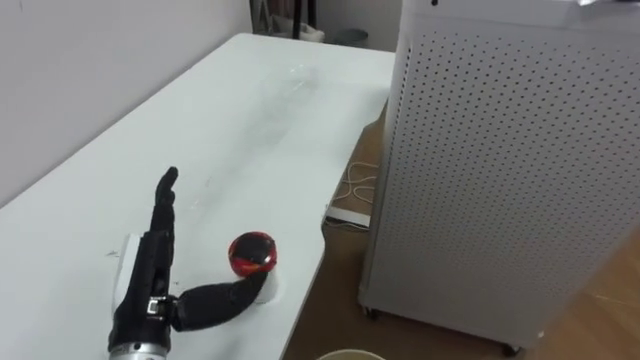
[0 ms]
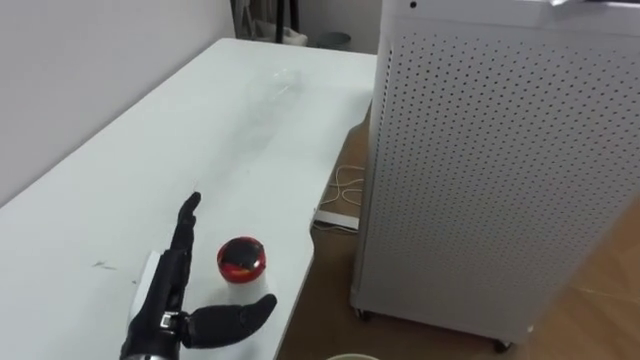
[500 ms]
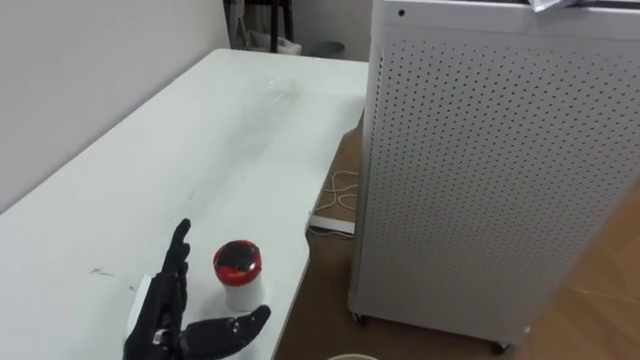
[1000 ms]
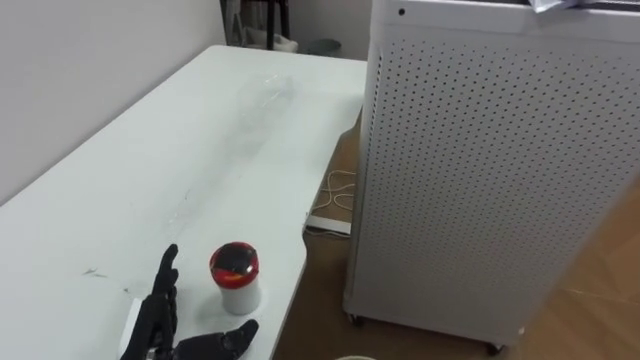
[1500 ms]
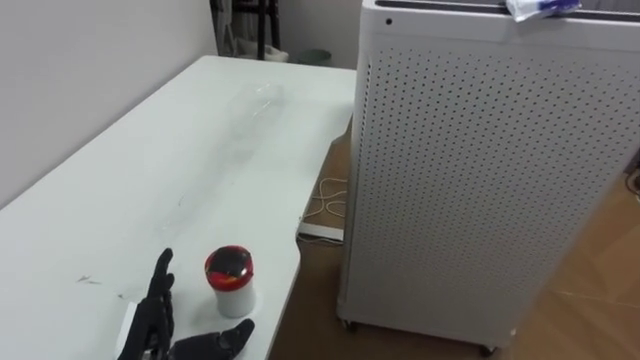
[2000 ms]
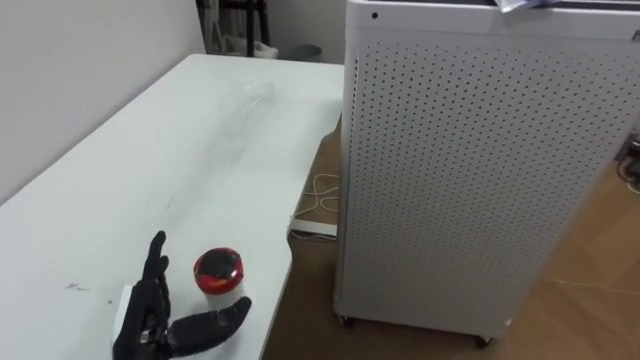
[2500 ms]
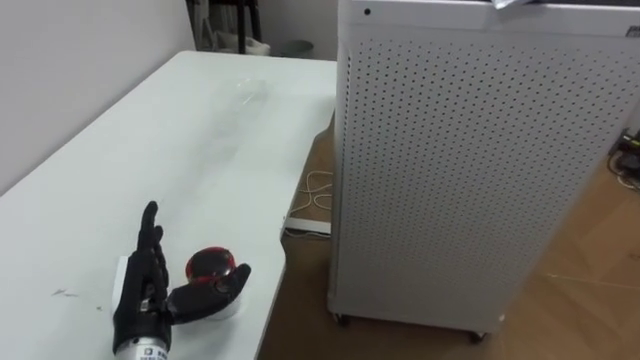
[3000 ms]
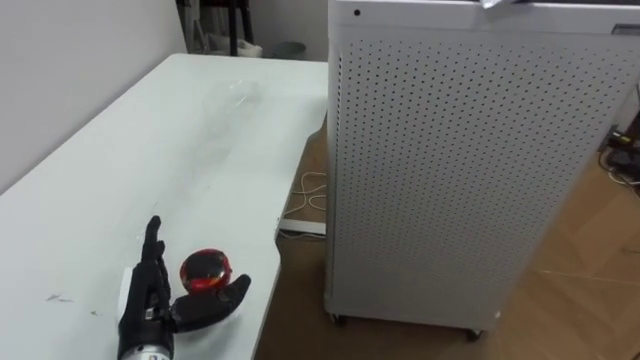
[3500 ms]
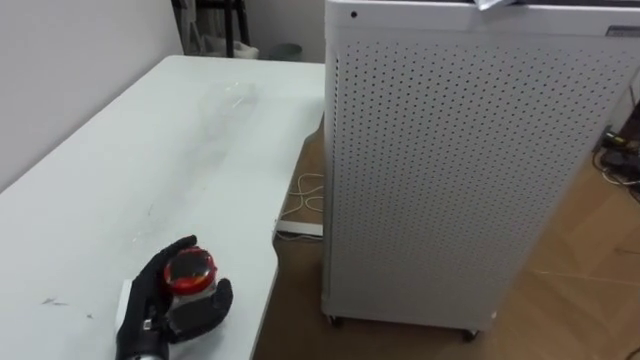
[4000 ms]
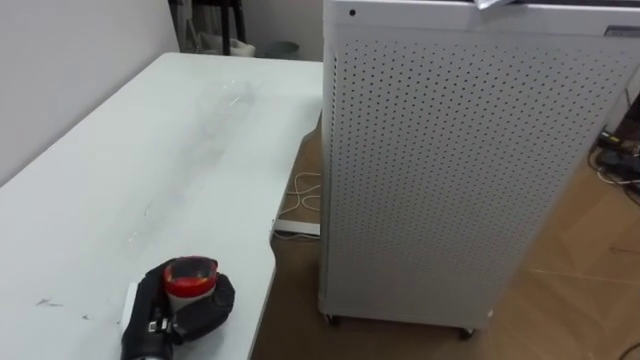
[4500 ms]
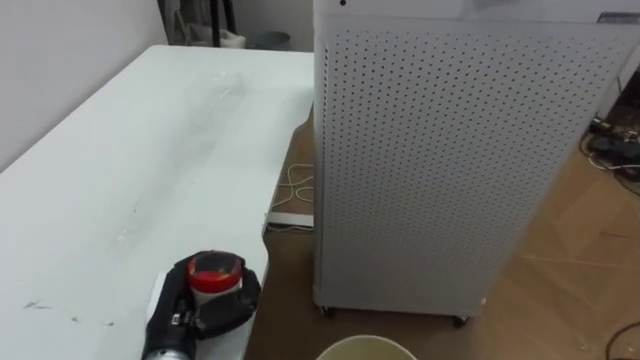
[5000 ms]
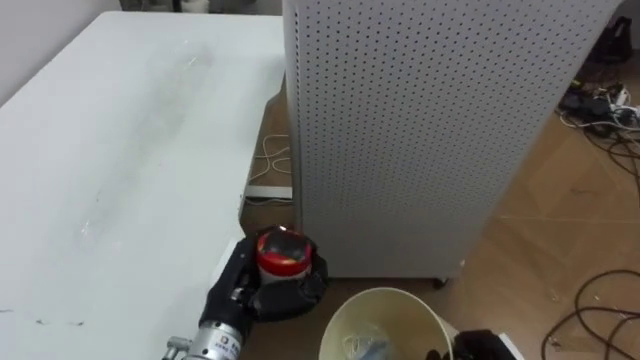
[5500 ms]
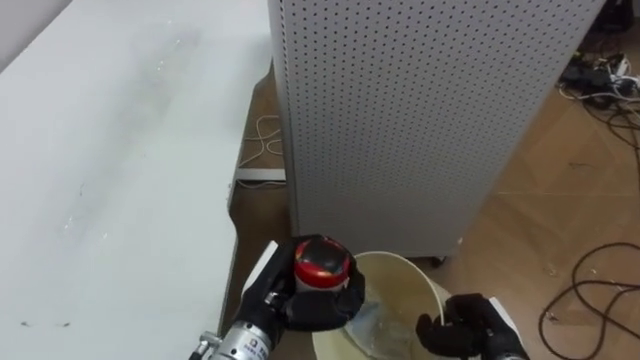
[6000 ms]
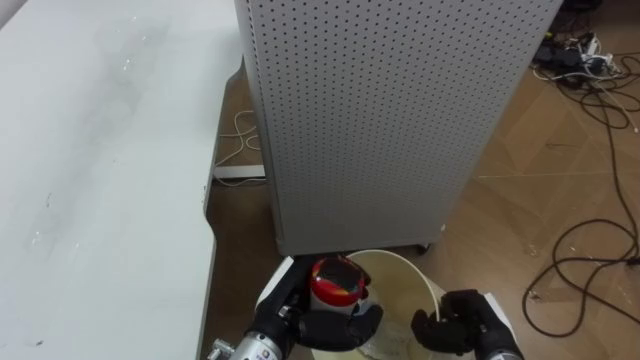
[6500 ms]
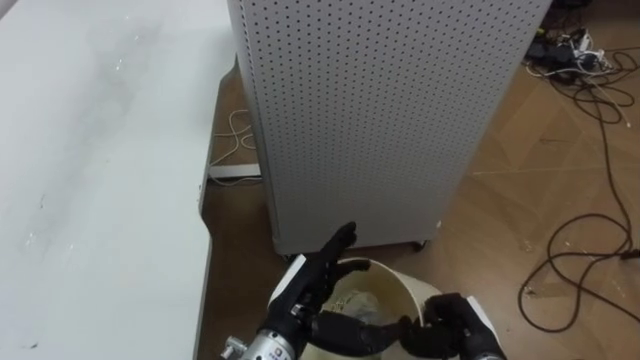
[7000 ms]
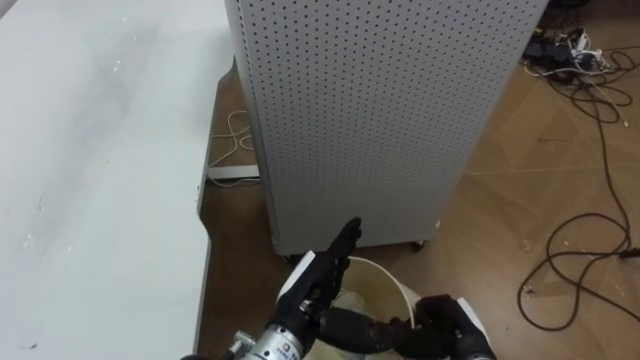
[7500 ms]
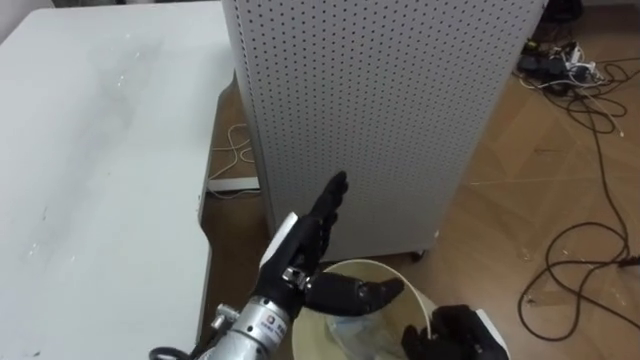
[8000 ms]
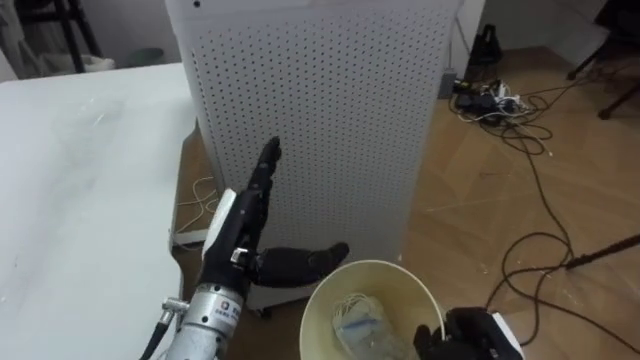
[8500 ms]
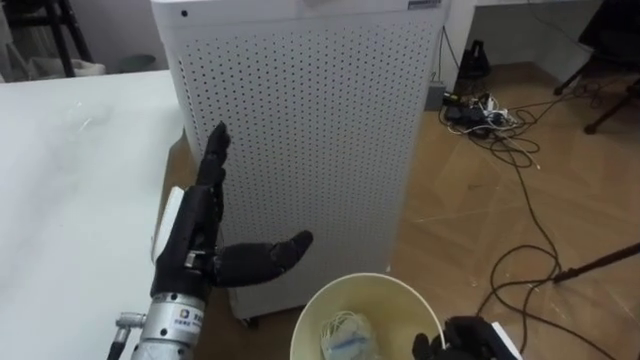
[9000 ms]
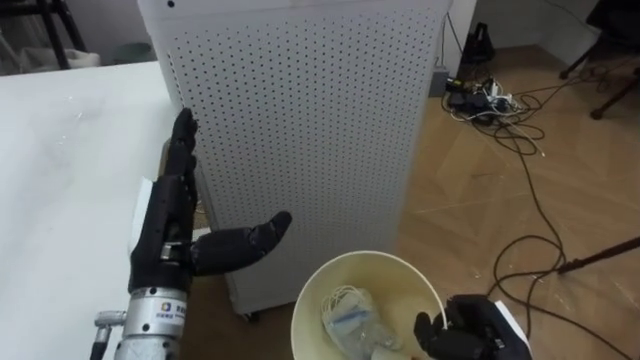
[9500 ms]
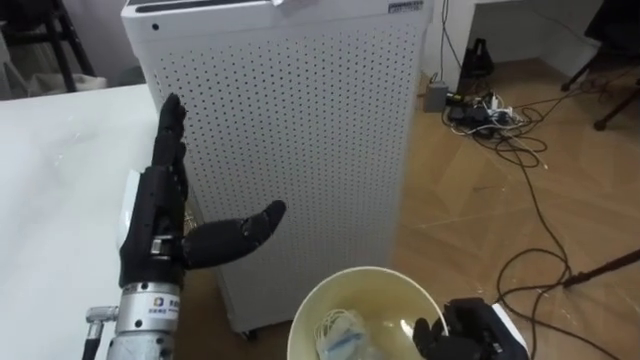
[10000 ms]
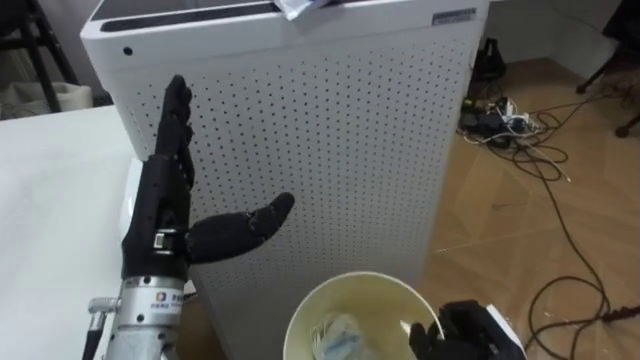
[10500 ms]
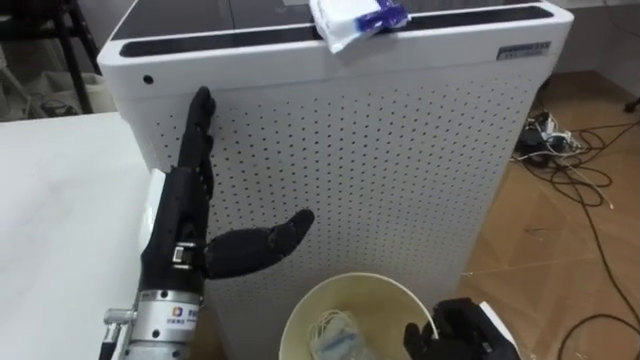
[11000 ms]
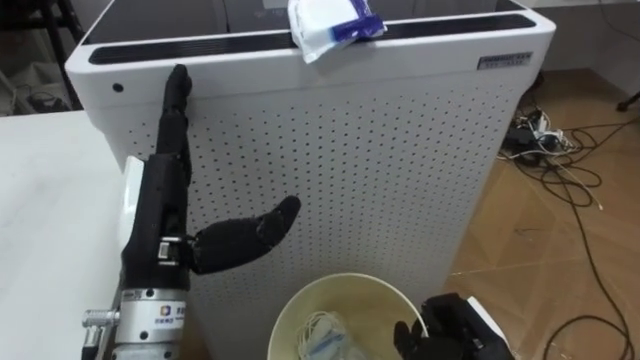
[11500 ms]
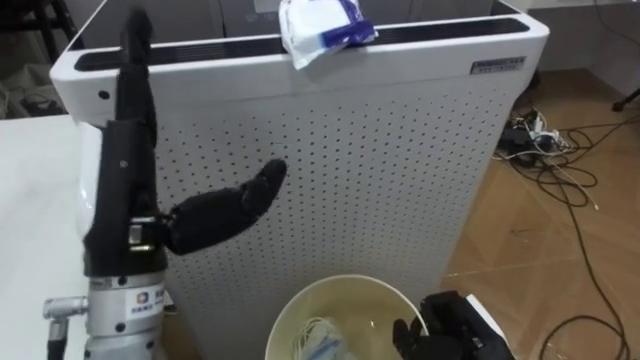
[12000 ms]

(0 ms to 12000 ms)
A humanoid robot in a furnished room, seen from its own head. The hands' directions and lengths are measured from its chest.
Task of the whole recording: Pick up the light blue package, the candy box, and the dark blue package separately, and put them into the trash can held in your right hand.
0 ms - 2000 ms: The left hand is displaced downward by roughly 10 cm.
4000 ms - 6000 ms: The left hand travels to the right by approximately 15 cm, and closes.
6000 ms - 8000 ms: The left hand opens up.
8000 ms - 10000 ms: The left hand travels to the left and upward by roughly 15 cm.
10000 ms - 12000 ms: The left hand travels upward by about 5 cm.

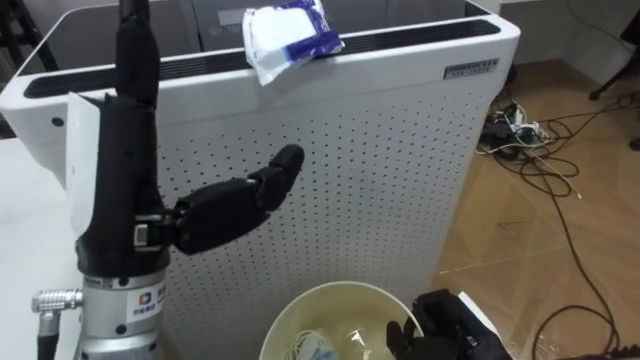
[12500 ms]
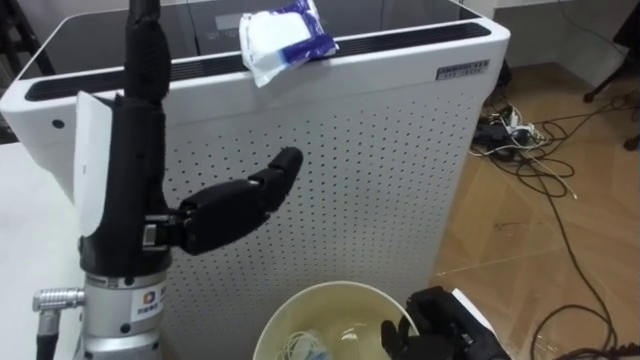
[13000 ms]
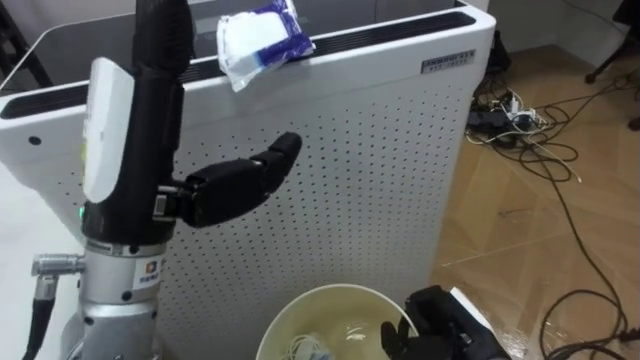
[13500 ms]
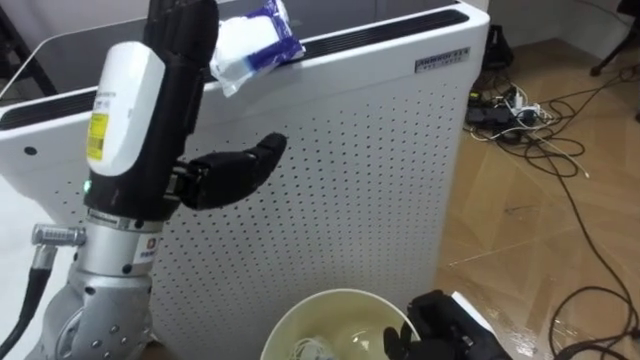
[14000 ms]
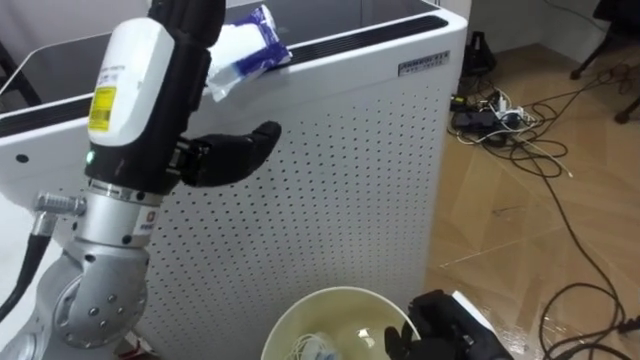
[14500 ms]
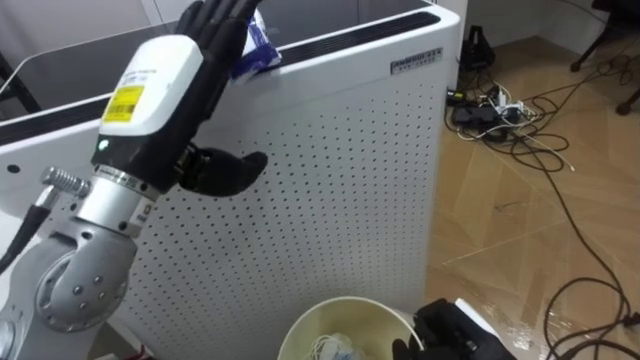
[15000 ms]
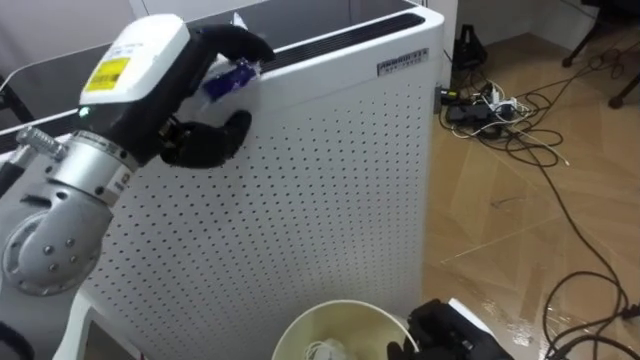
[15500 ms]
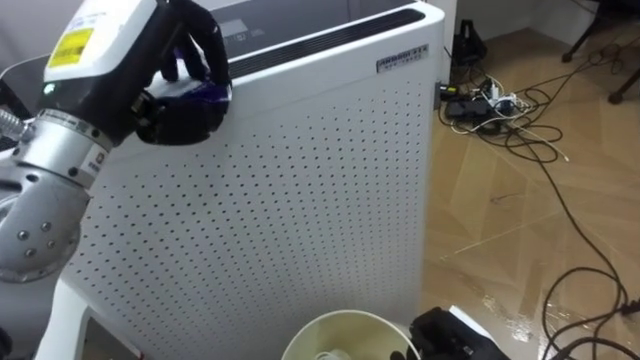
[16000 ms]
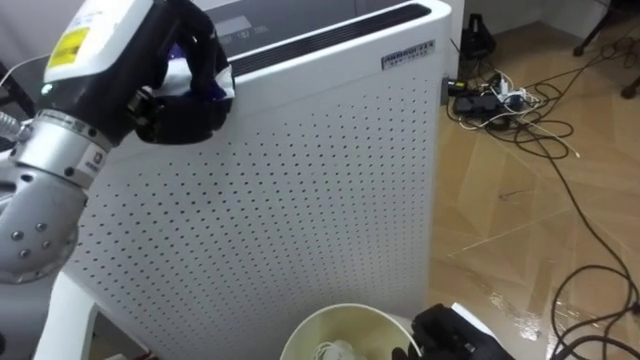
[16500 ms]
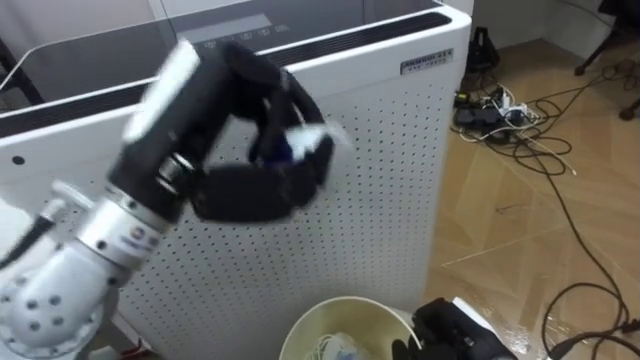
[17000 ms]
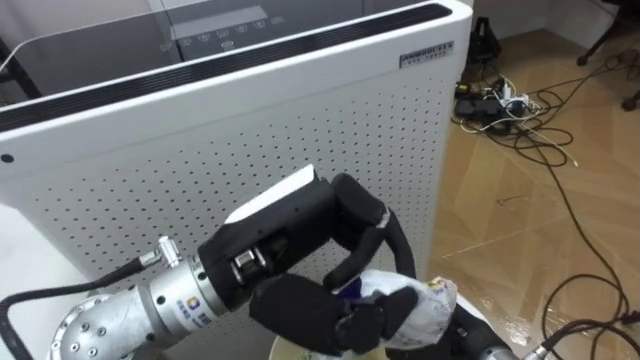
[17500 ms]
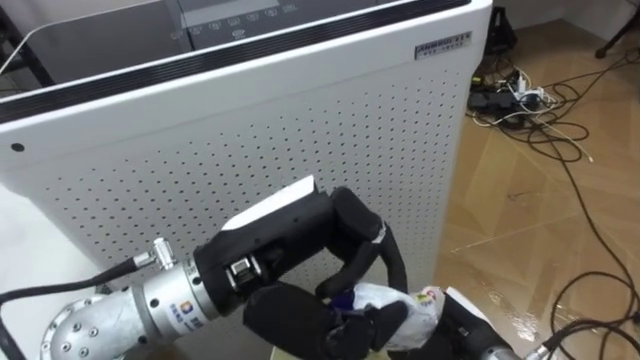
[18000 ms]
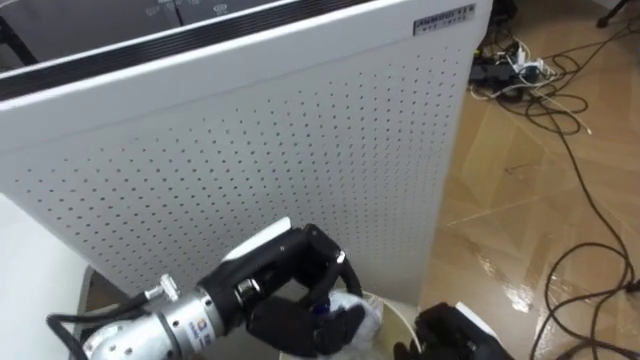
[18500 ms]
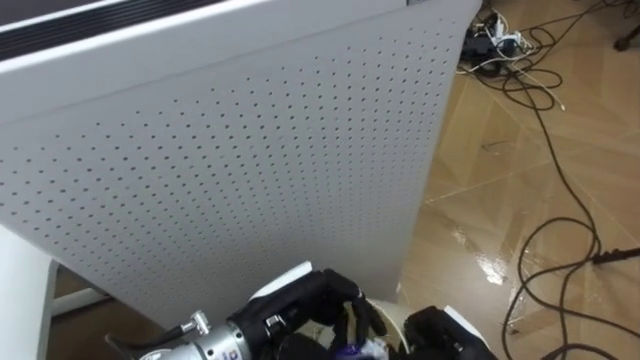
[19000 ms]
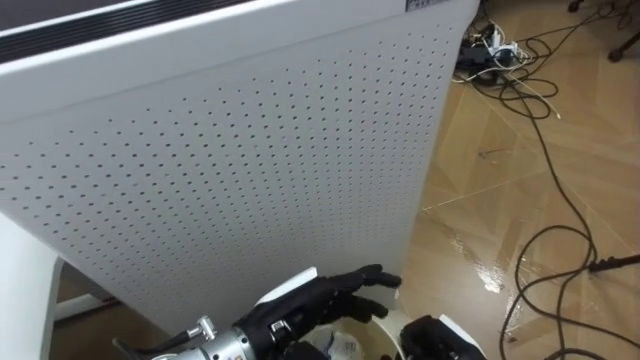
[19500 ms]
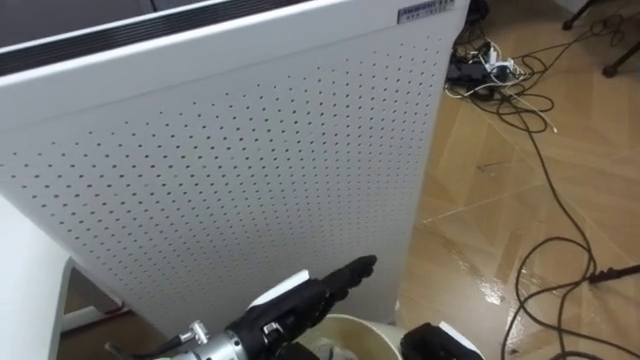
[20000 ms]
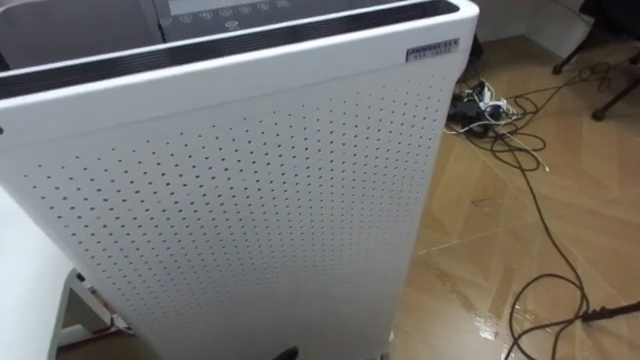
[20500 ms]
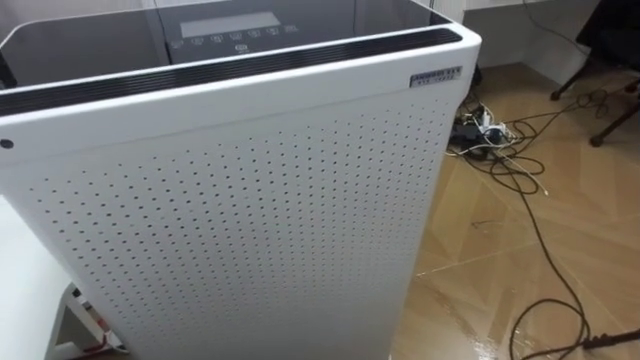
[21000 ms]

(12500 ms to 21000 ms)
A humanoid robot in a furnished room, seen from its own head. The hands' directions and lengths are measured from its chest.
Task of the whole recording: Pick up the light blue package, the candy box, and the dark blue package separately, and put them into the trash can held in your right hand.
12500 ms - 14500 ms: The left hand ends up about 5 cm from where it was.
14500 ms - 16500 ms: The left hand shifts by about 5 cm, and closes up.
16500 ms - 19000 ms: The left hand moves downward and to the right, about 25 cm.
